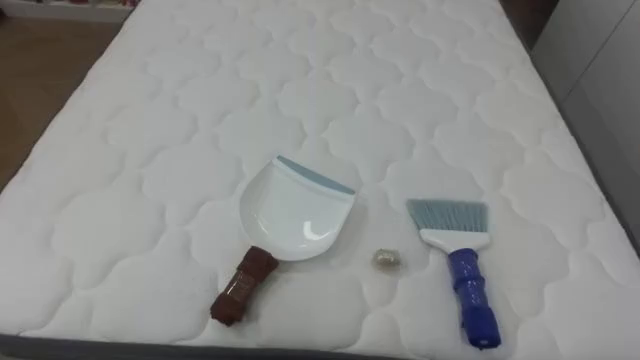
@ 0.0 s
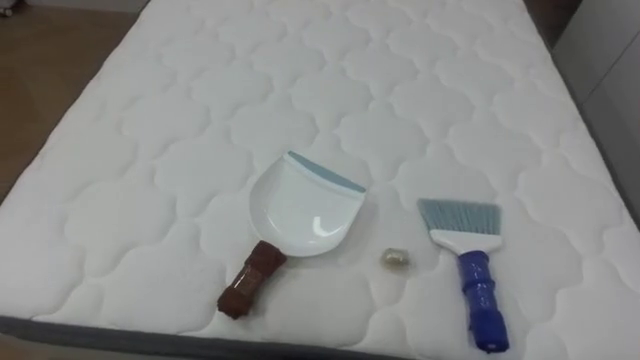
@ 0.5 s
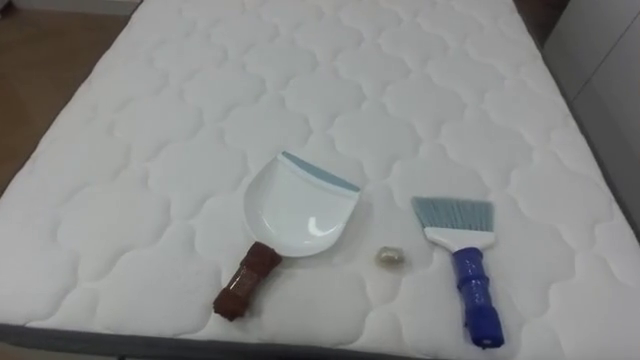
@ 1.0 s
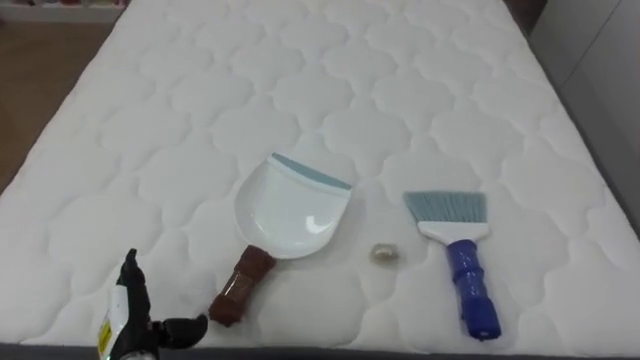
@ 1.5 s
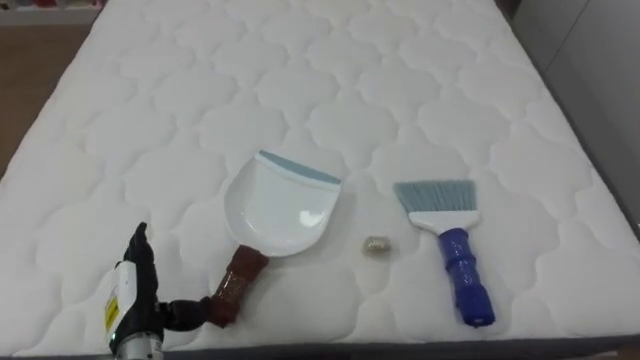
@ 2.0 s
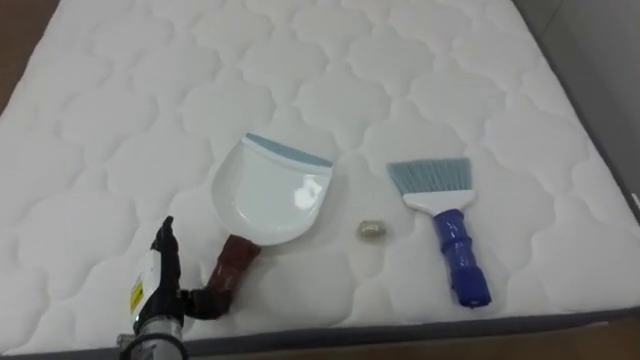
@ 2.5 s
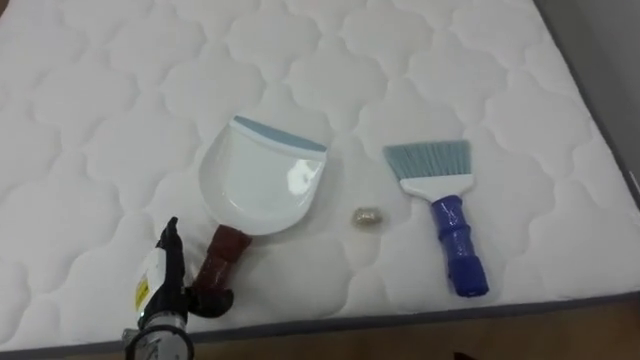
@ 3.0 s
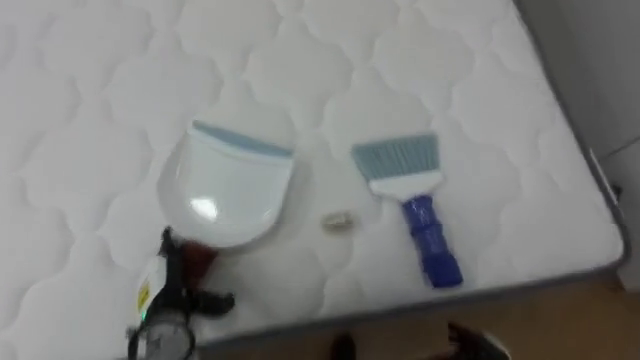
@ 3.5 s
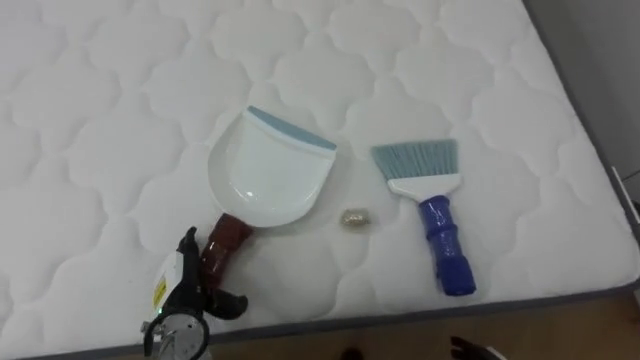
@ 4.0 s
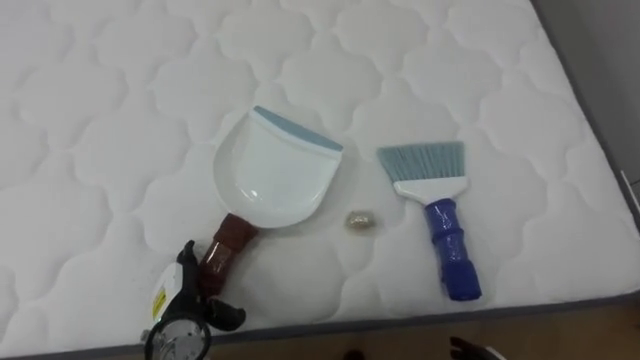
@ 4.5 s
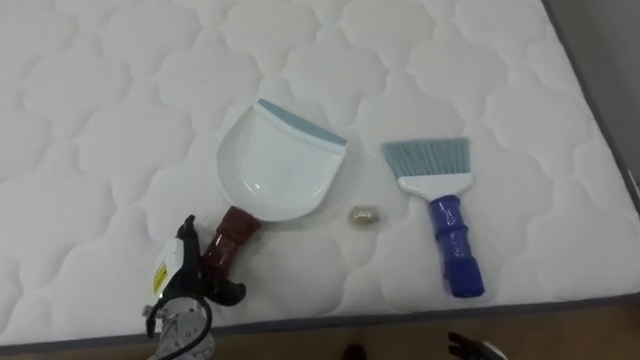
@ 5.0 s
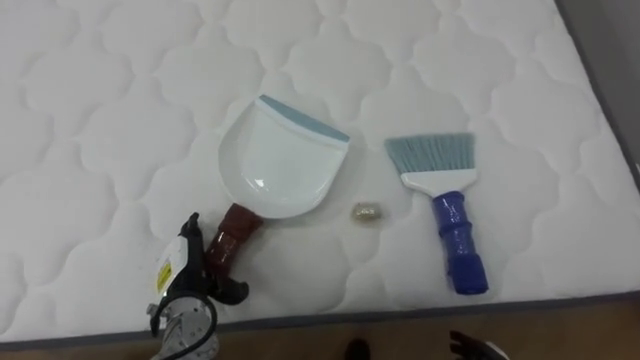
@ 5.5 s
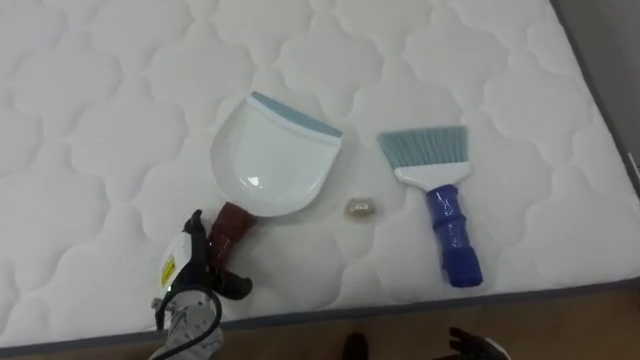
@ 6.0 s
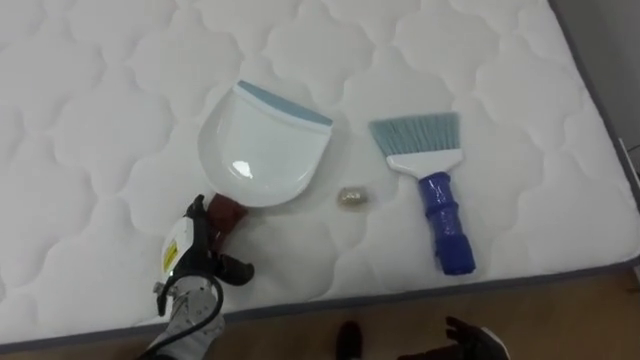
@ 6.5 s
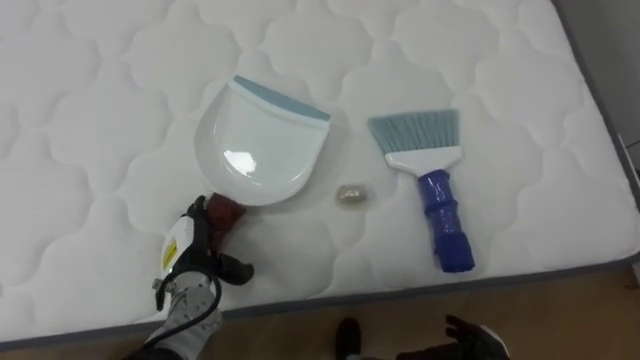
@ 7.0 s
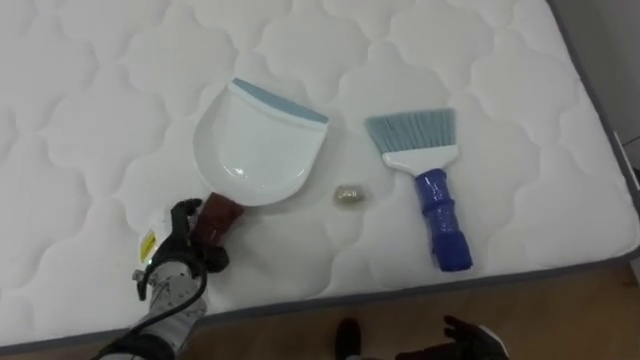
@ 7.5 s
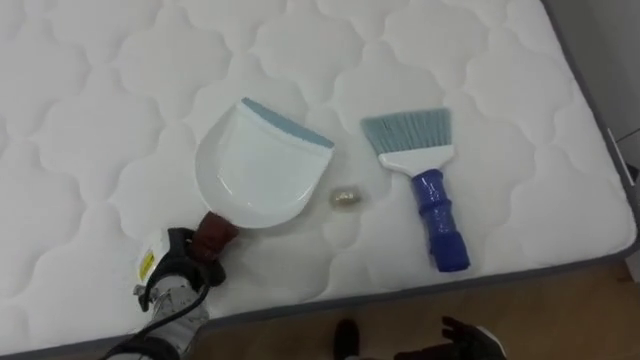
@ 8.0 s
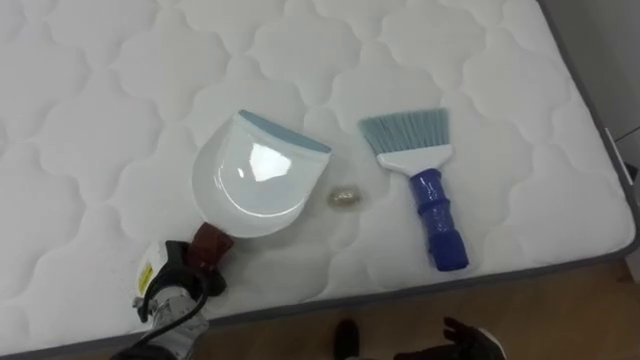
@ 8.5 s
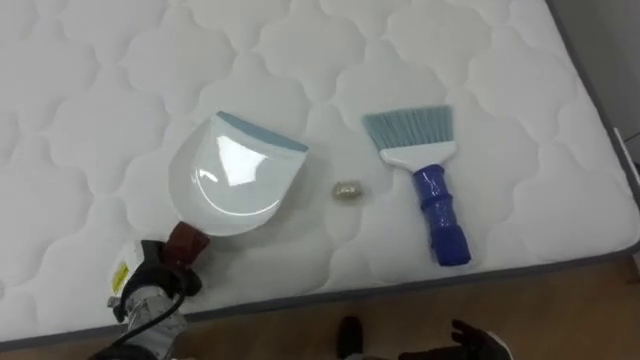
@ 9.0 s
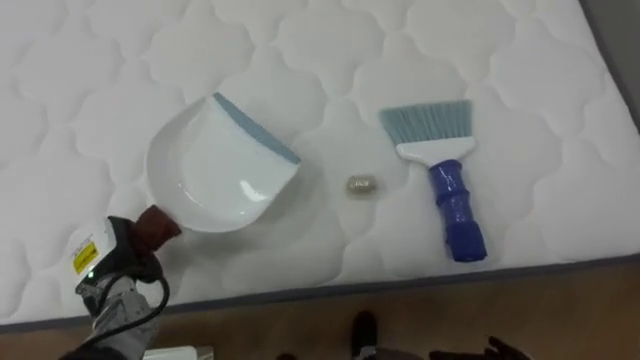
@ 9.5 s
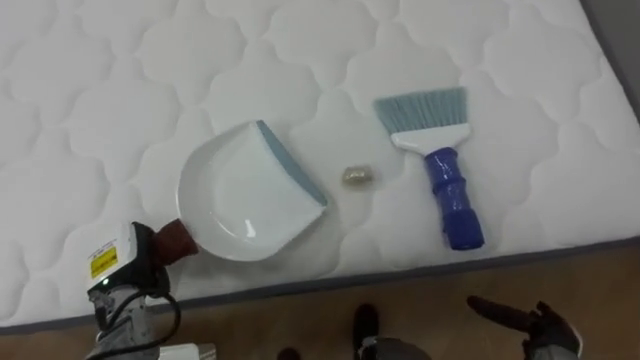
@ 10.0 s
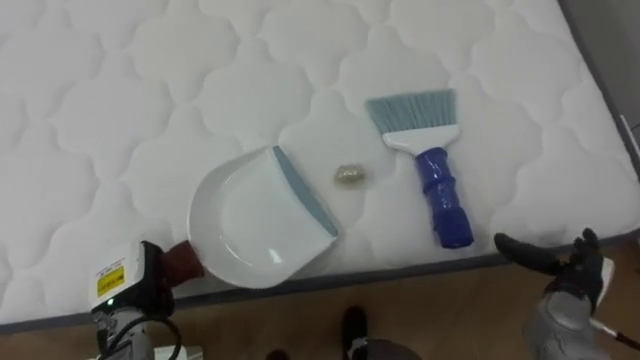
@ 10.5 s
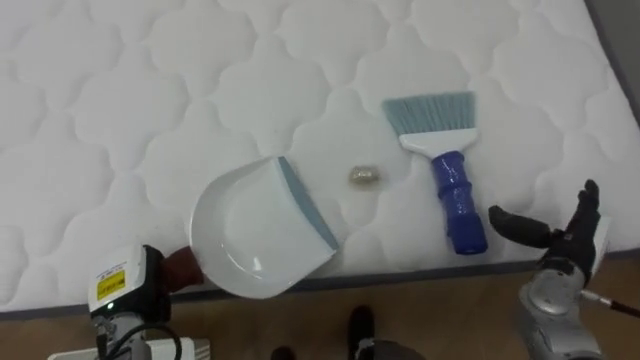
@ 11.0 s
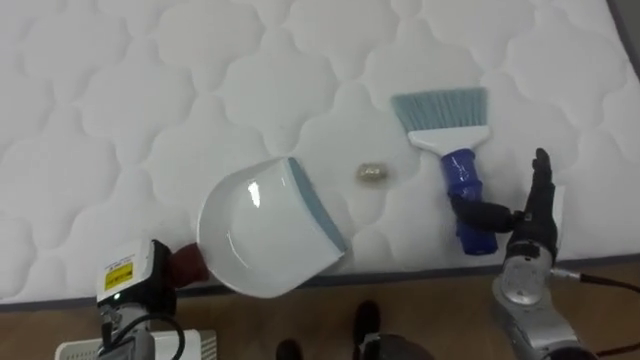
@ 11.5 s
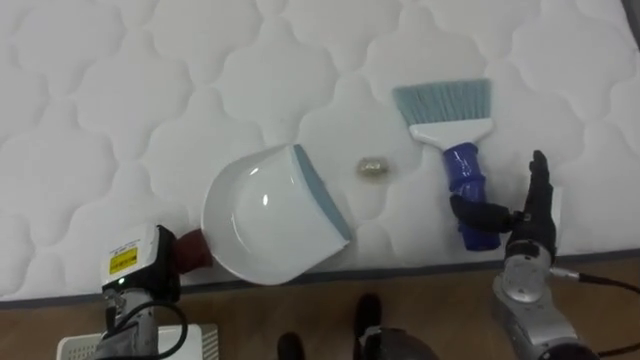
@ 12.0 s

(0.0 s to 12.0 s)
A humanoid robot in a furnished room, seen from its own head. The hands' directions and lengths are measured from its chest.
Task of the whole recording: Pick up the brush on your right and the dustpan on your left. Use the brush to sweep the crumpled paper on the bed into the dustpan, then turn left and empty it into the basket.
2.0 s - 4.0 s: The left hand shifts by approximately 5 cm.
6.0 s - 8.0 s: The left hand closes.
8.0 s - 10.0 s: The left hand moves to the left, approximately 5 cm.
10.0 s - 12.0 s: The right hand is displaced upward and forward by about 20 cm.

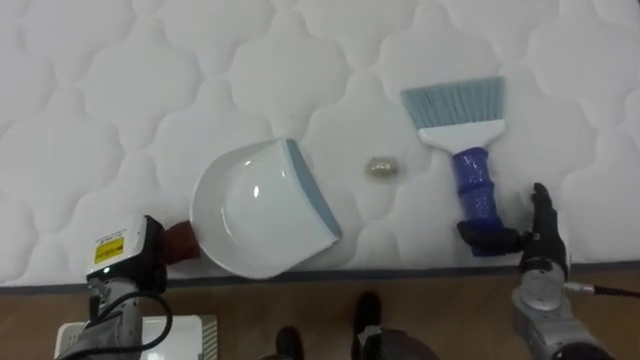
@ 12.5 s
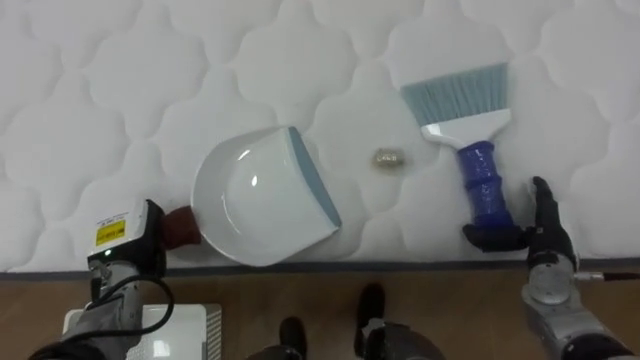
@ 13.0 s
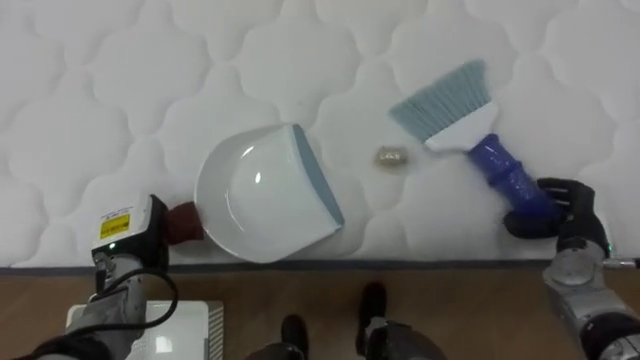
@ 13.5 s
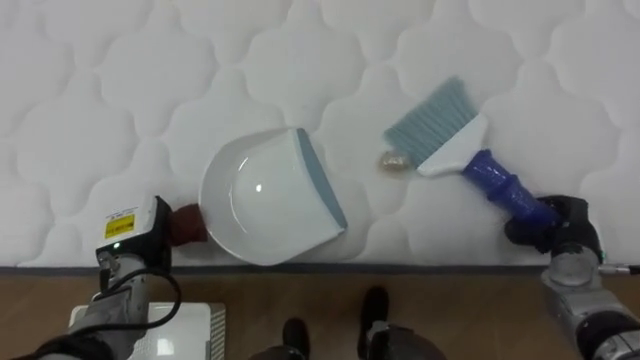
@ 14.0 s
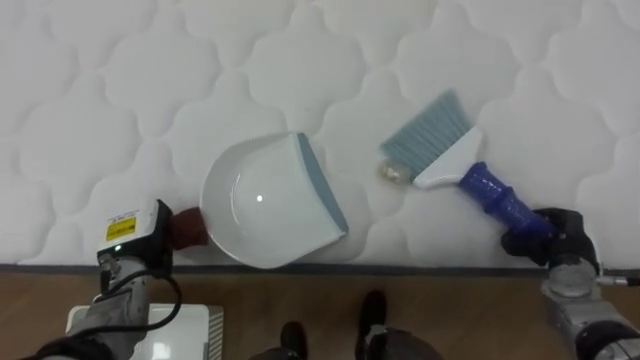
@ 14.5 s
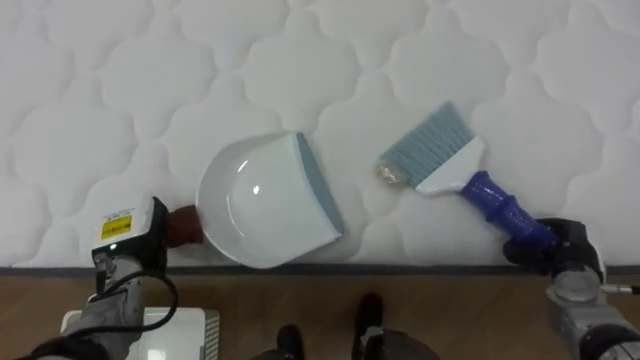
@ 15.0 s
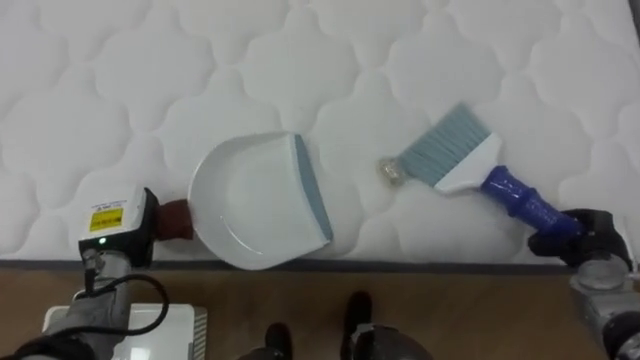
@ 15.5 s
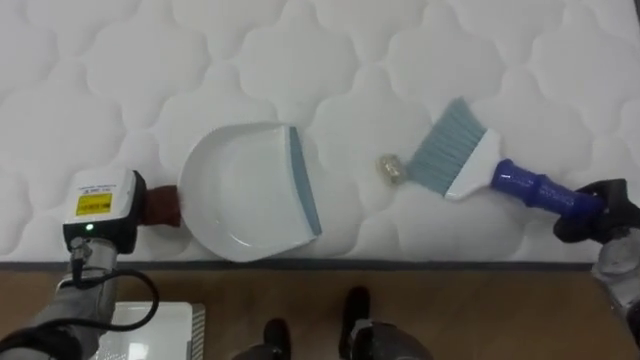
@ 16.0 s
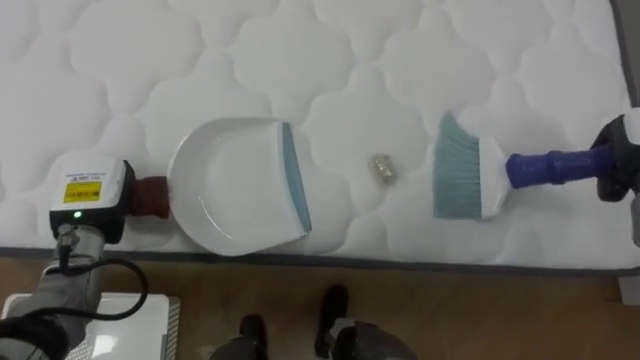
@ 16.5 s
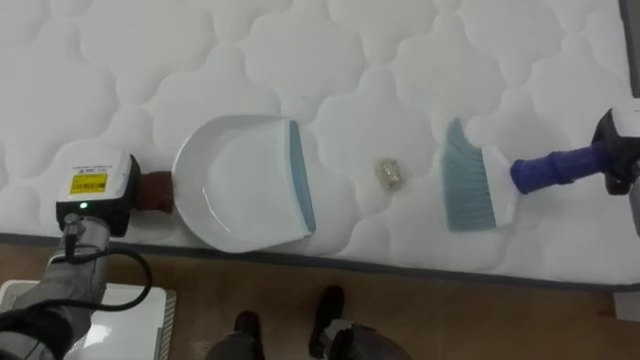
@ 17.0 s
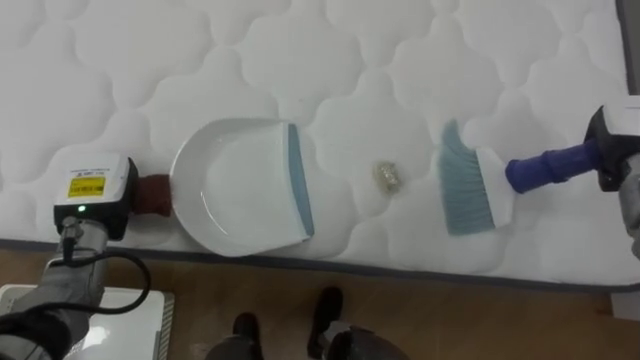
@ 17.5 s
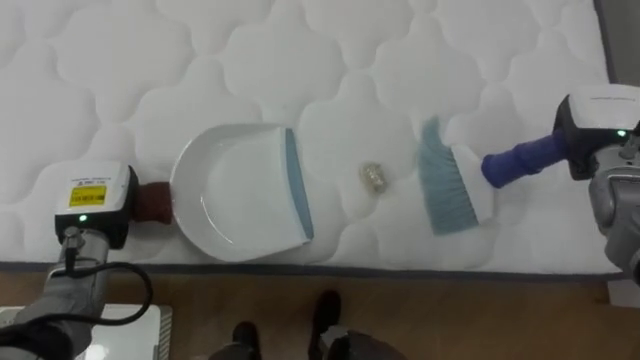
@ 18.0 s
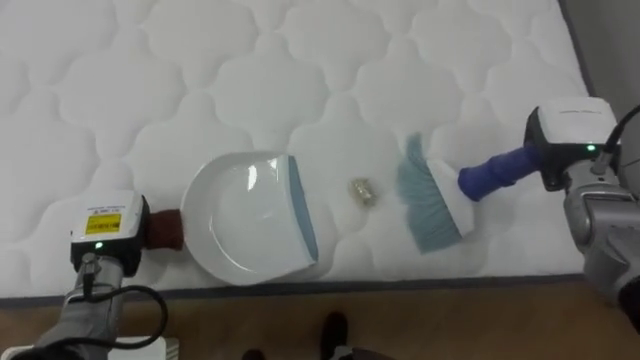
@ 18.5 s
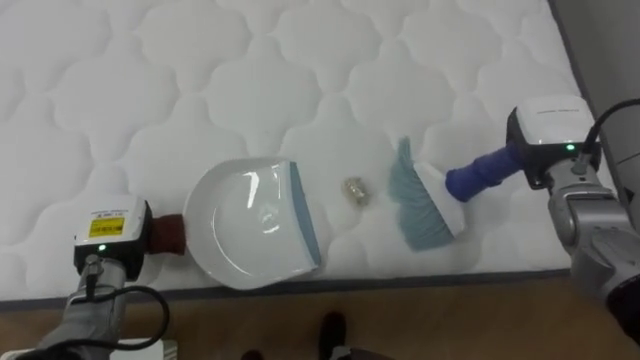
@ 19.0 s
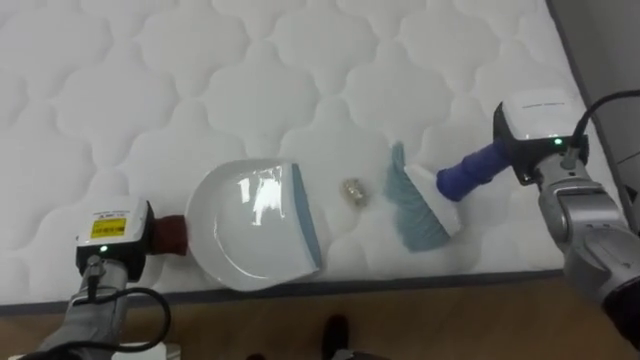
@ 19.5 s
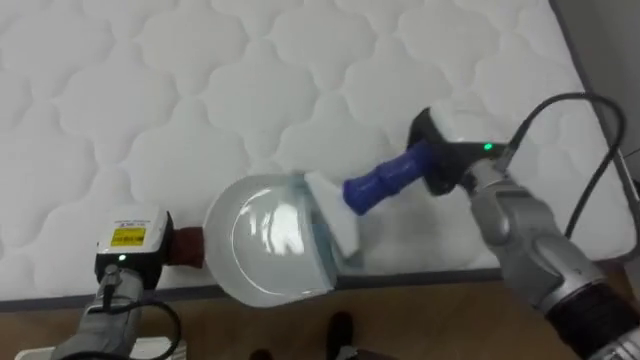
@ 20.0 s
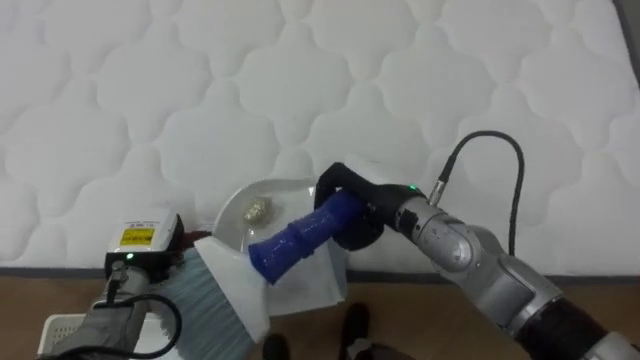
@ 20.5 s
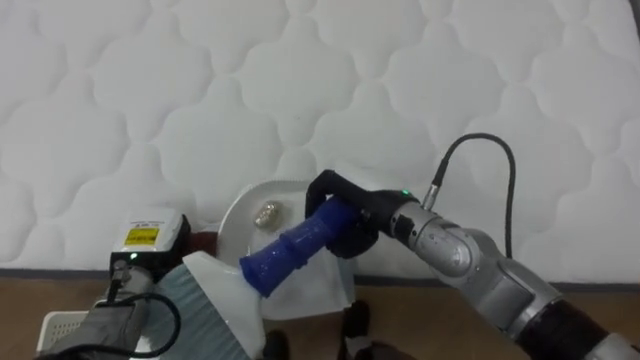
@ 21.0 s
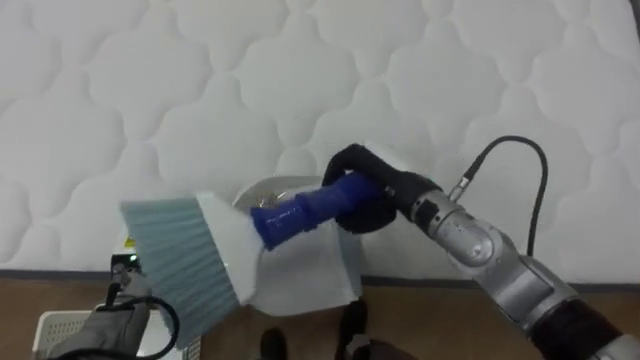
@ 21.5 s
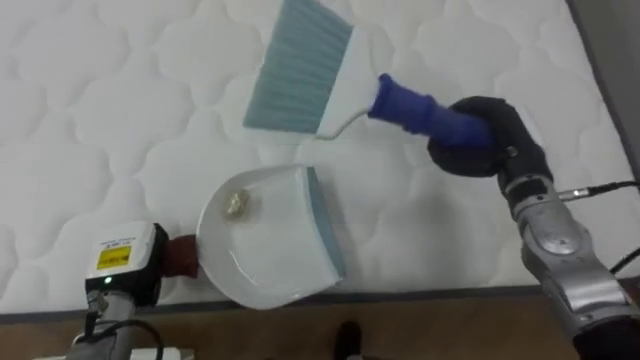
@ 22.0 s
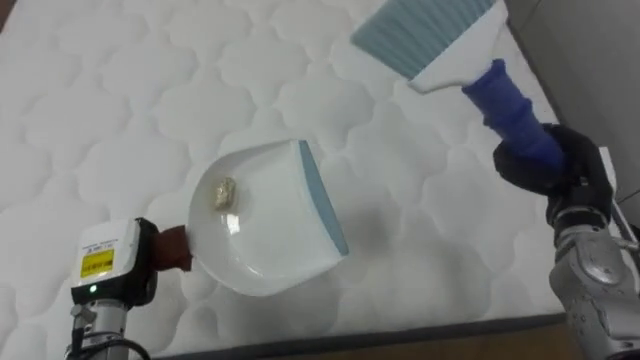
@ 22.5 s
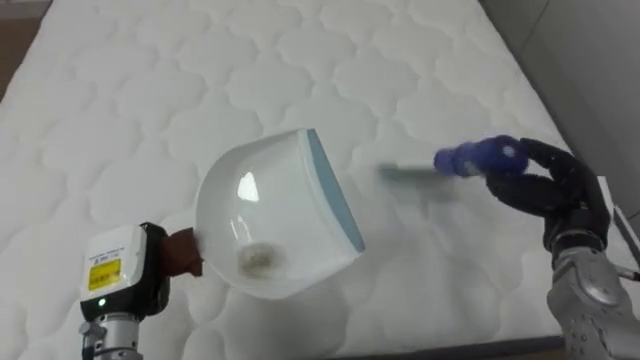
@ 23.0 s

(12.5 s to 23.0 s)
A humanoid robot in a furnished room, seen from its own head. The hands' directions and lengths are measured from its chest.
Task of the whole recording: Pick up the brush on your right and the dustpan on your left. Use the brush to sweep the crumpled paper on the bed into the dustpan, then turn left and empty it into the basket.
12.5 s - 14.5 s: The right hand closes its fingers.
14.5 s - 16.5 s: The left hand shifts about 5 cm upward; the right hand shifts some 15 cm upward, forward and to the right.
16.5 s - 19.0 s: The right hand travels to the left by about 10 cm, while the left hand changes place by roughly 5 cm.
19.0 s - 21.0 s: The right hand travels to the left by some 20 cm.
21.0 s - 23.0 s: The right hand travels to the right by roughly 25 cm, and opens, while the left hand is displaced backward by about 5 cm.
